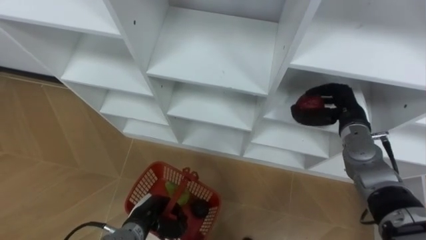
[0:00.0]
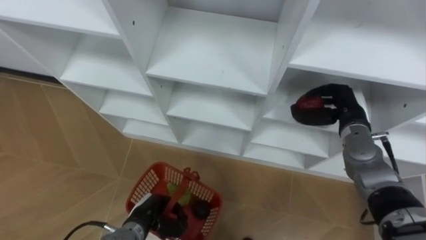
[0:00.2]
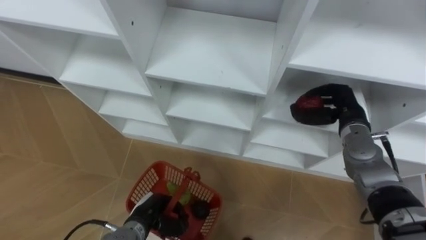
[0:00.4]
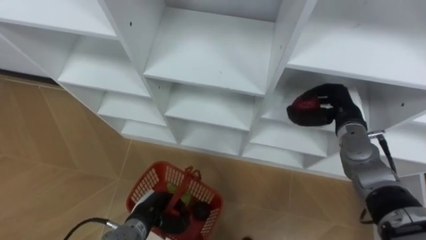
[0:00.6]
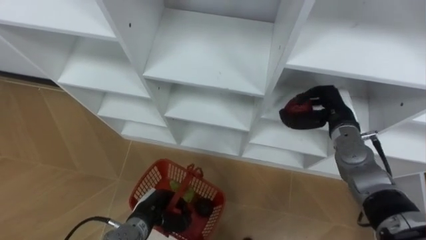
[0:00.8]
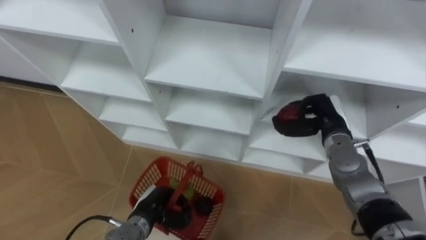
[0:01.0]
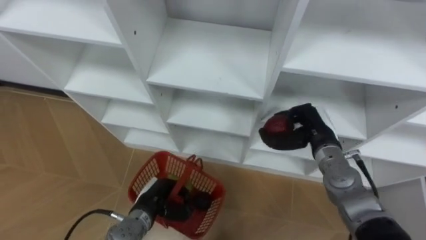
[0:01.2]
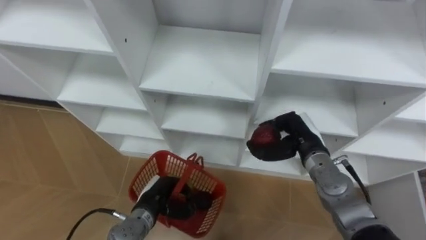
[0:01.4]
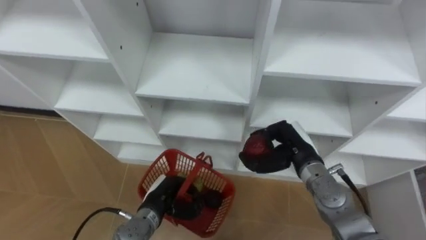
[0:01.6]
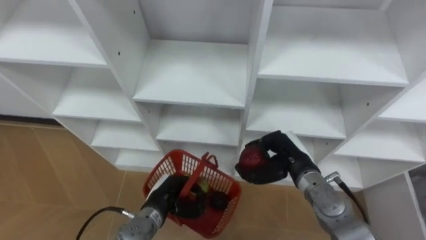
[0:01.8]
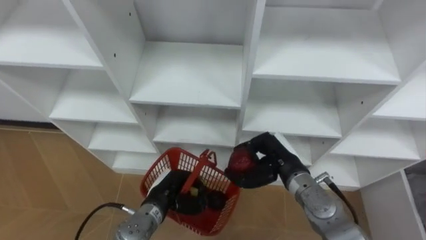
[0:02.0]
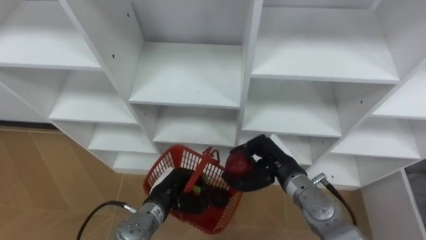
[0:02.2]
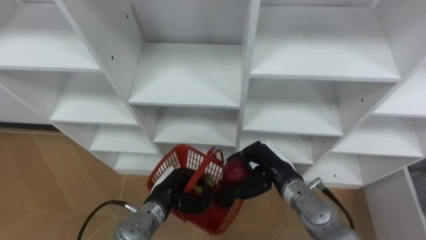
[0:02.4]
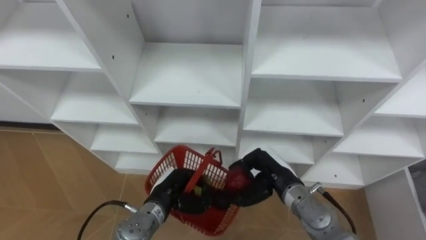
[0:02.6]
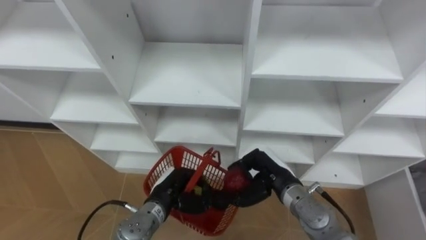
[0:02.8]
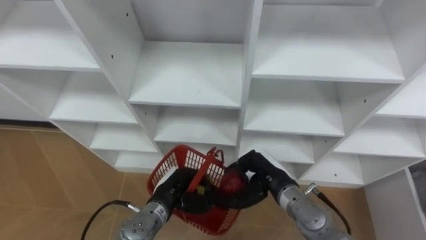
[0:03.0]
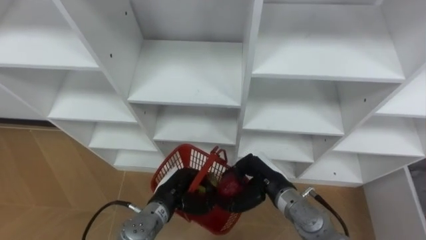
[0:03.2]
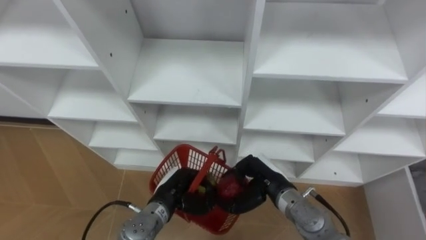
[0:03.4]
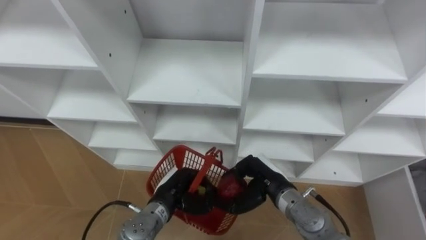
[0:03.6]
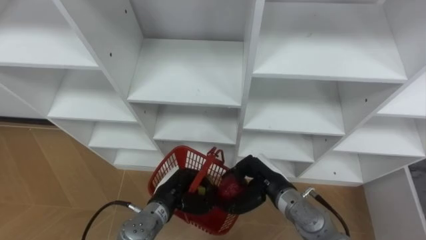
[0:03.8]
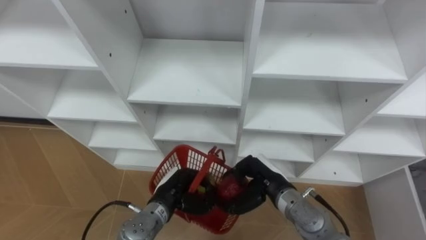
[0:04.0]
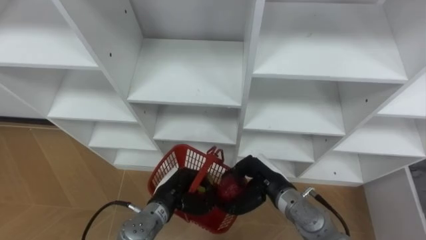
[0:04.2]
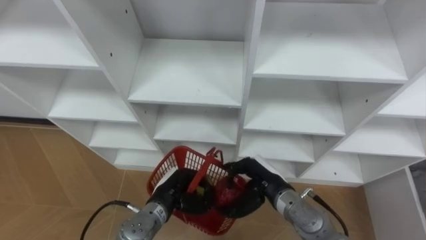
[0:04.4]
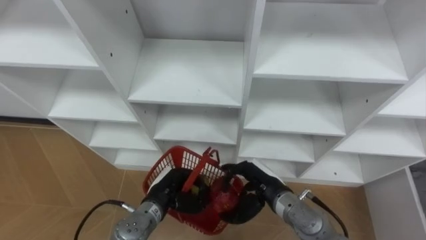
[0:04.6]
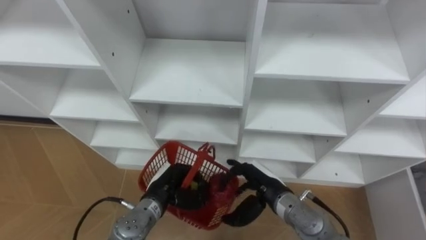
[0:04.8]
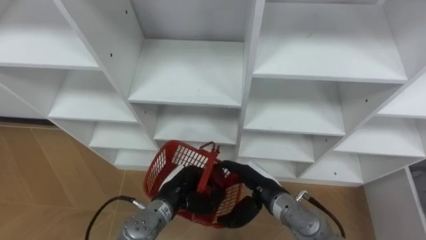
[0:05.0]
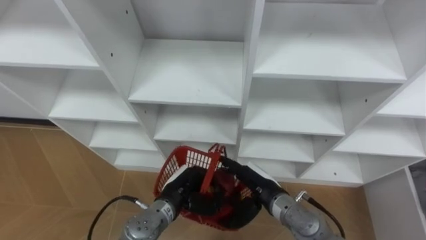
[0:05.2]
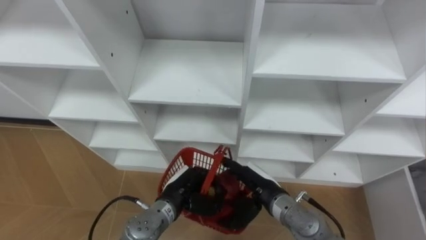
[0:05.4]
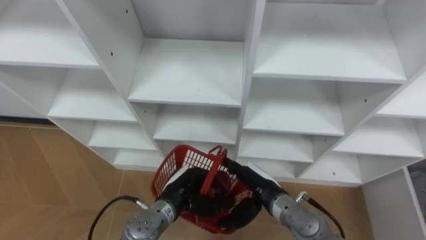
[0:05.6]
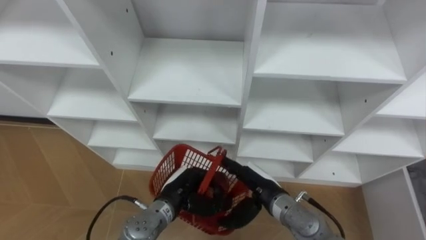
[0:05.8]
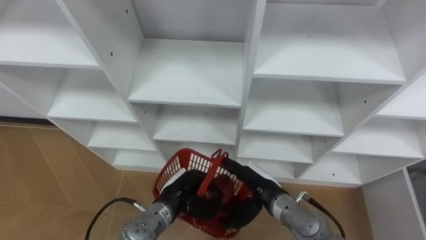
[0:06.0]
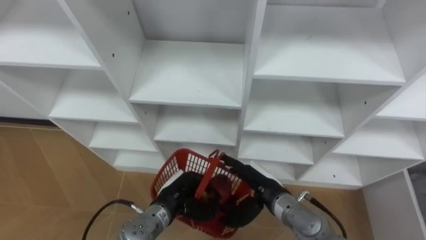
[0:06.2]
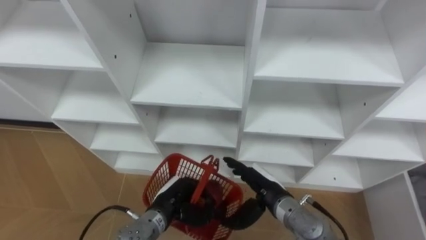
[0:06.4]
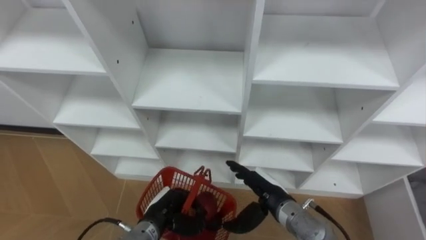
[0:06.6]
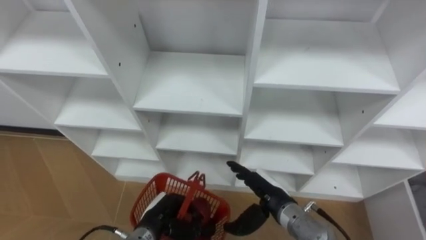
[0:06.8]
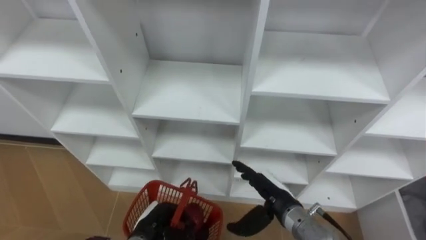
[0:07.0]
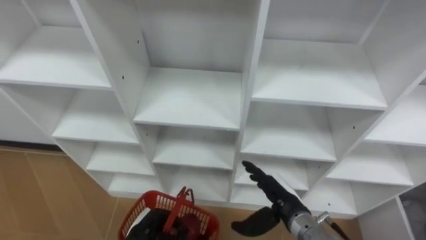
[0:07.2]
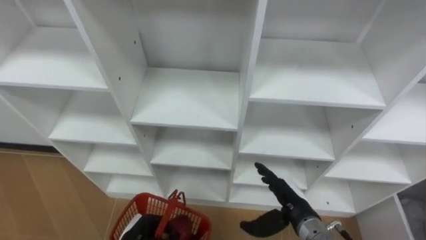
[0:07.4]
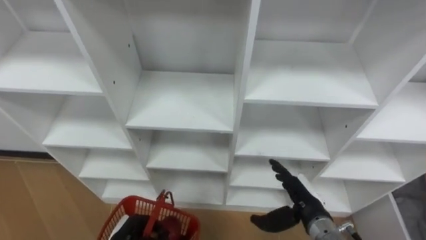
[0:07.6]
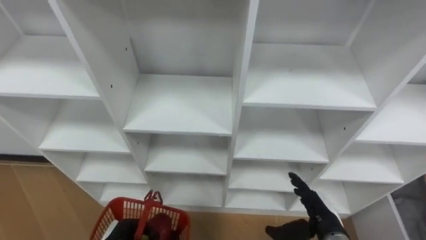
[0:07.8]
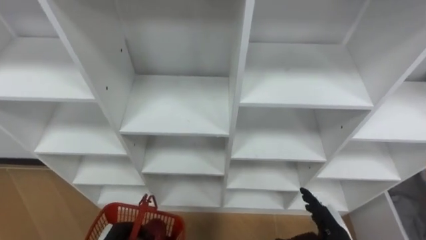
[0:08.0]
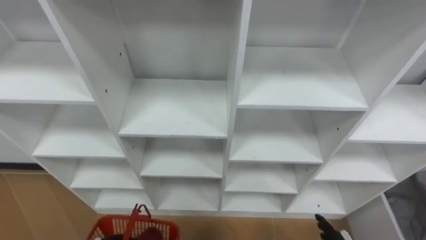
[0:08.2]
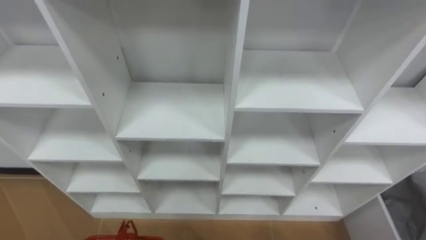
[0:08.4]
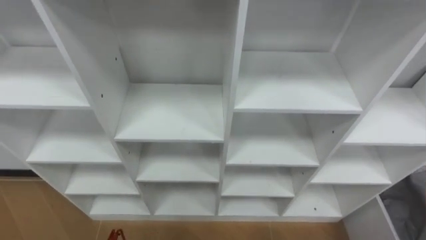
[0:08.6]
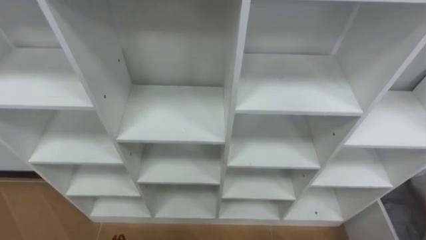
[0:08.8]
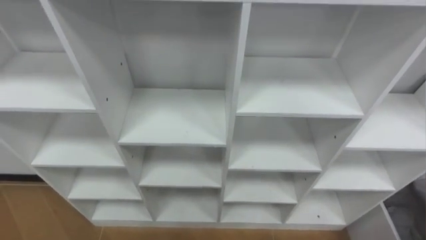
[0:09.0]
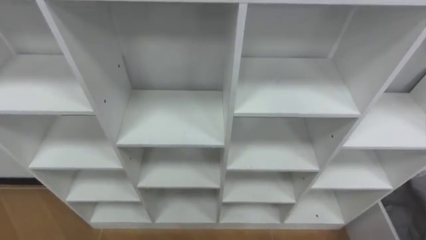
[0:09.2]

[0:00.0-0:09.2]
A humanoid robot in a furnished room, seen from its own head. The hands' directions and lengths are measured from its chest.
Task of the whole recording: Hold the basket and collect the fruits from 3 different cells of the closet into it.
0:00.0 to 0:01.6: The right hand moves to the left and backward, approximately 10 cm. The left hand shifts by roughly 5 cm.
0:01.6 to 0:03.0: The right hand moves to the left, about 5 cm.
0:03.0 to 0:04.6: The right hand opens.
0:04.6 to 0:06.2: The right hand opens up.
0:06.2 to 0:07.6: The right hand travels to the right by some 10 cm. The left hand moves to the left, backward and downward, about 15 cm.

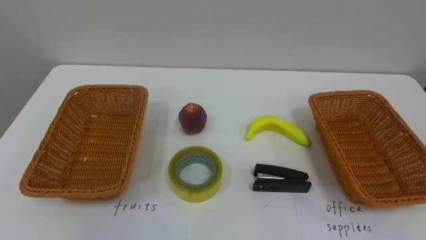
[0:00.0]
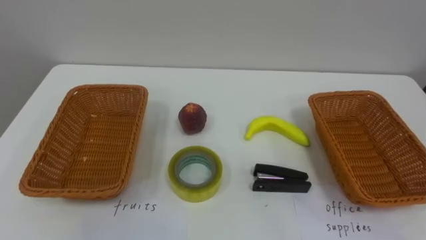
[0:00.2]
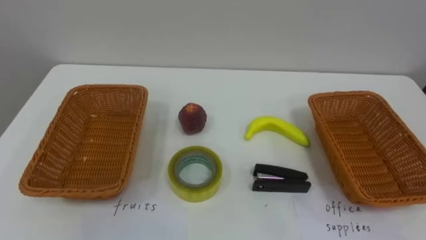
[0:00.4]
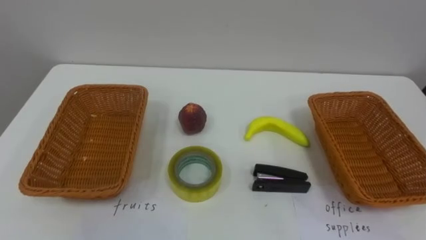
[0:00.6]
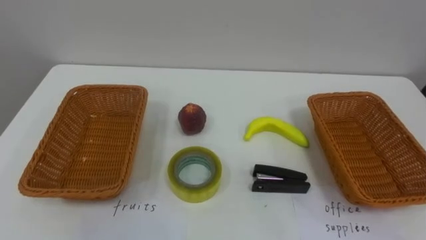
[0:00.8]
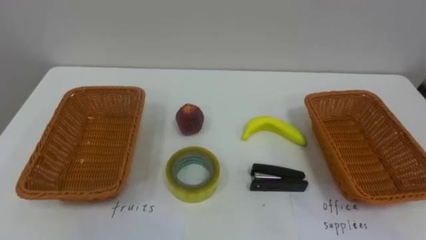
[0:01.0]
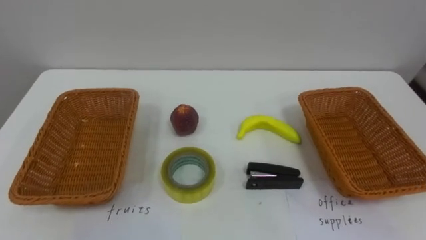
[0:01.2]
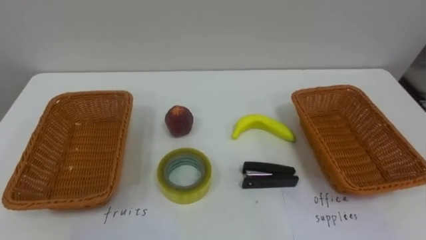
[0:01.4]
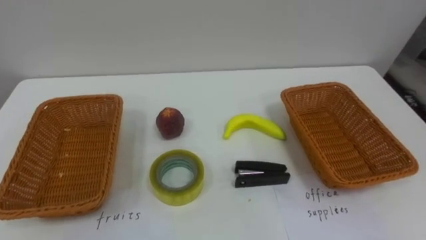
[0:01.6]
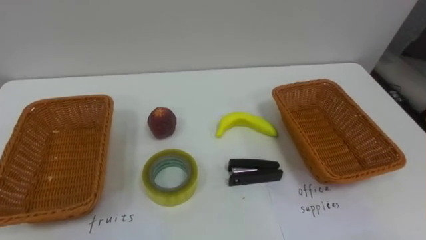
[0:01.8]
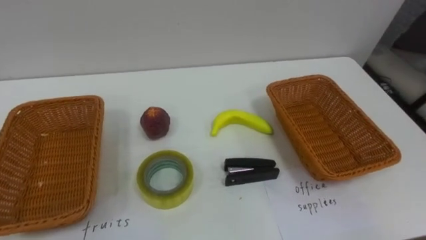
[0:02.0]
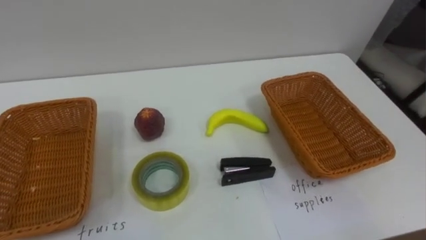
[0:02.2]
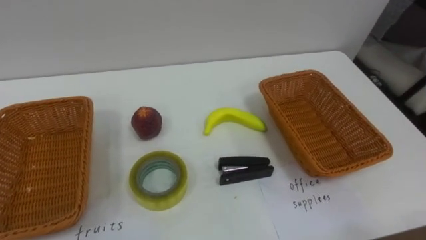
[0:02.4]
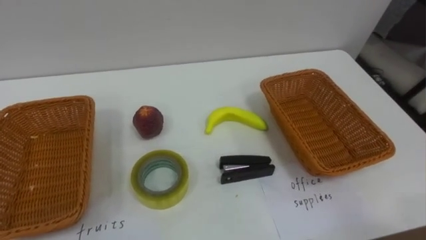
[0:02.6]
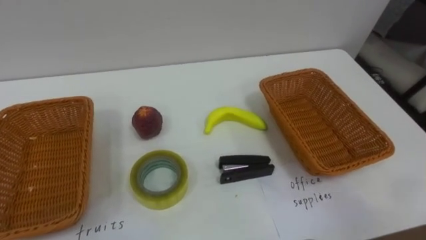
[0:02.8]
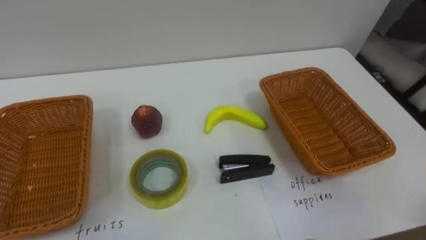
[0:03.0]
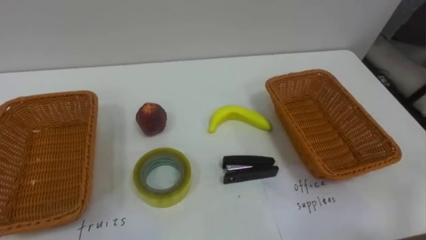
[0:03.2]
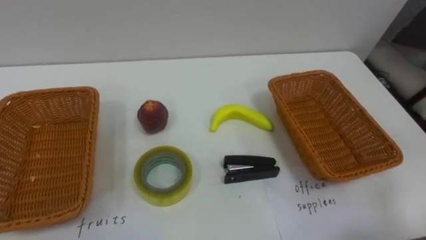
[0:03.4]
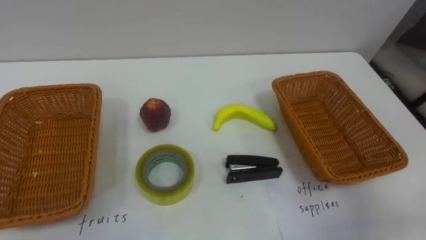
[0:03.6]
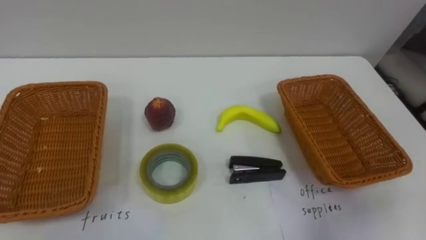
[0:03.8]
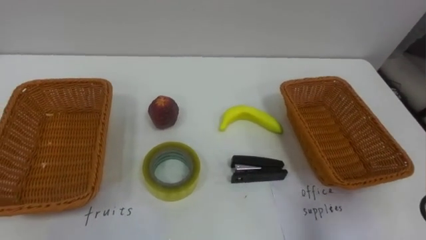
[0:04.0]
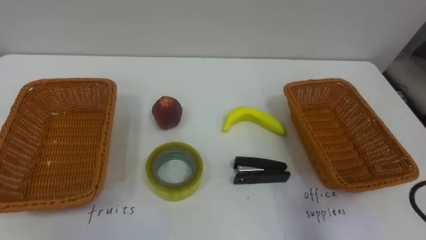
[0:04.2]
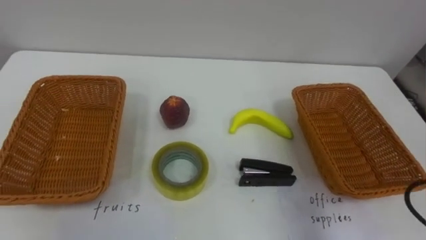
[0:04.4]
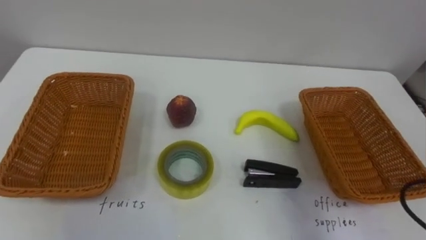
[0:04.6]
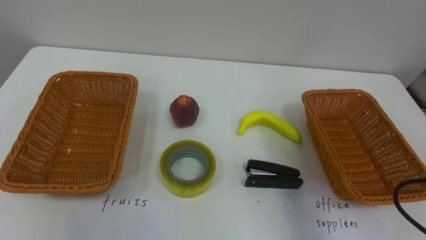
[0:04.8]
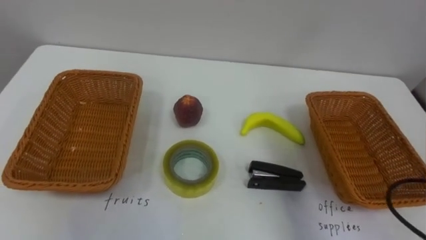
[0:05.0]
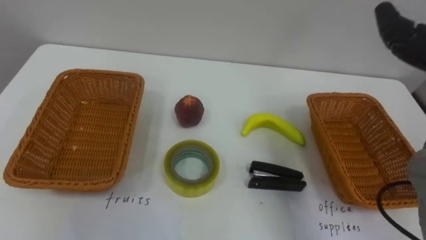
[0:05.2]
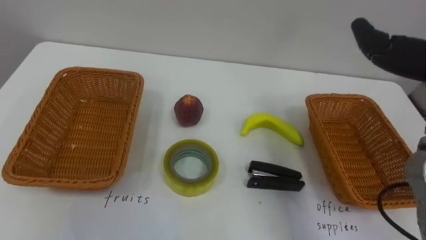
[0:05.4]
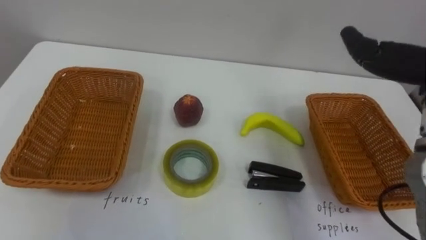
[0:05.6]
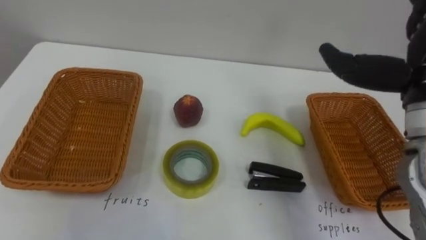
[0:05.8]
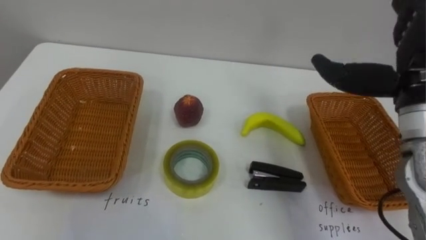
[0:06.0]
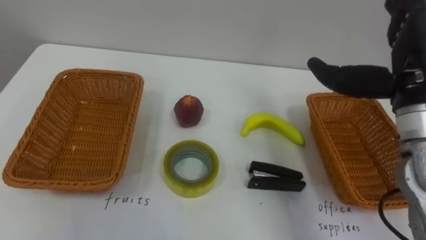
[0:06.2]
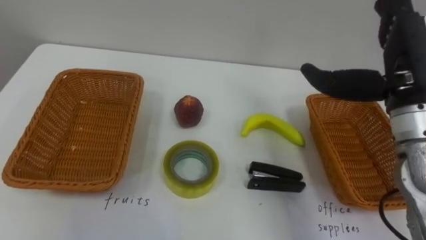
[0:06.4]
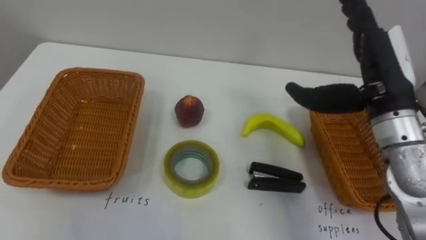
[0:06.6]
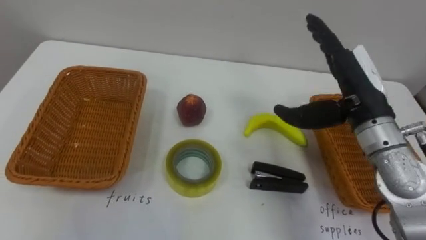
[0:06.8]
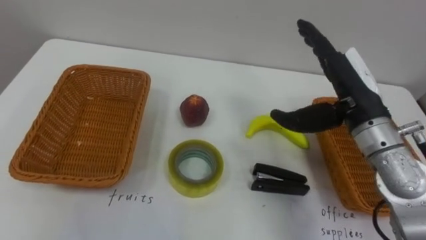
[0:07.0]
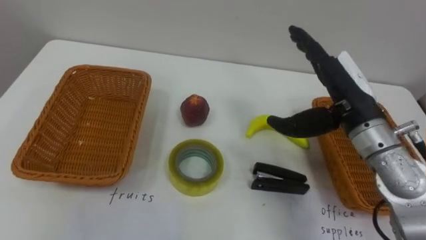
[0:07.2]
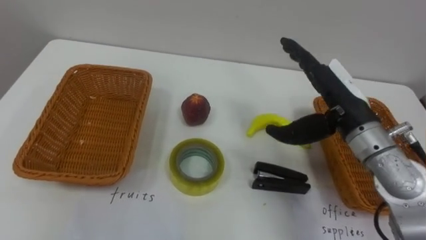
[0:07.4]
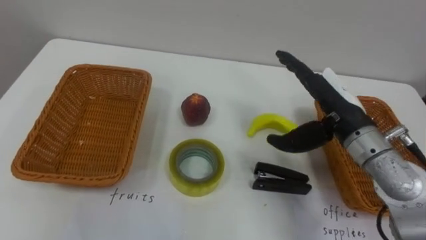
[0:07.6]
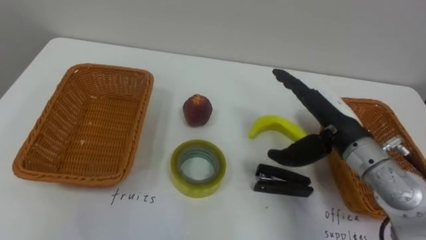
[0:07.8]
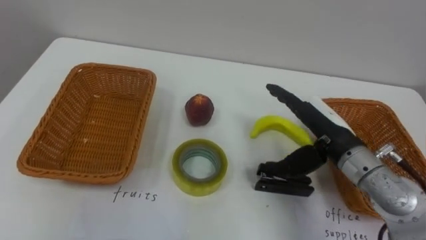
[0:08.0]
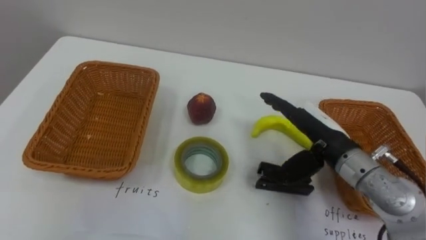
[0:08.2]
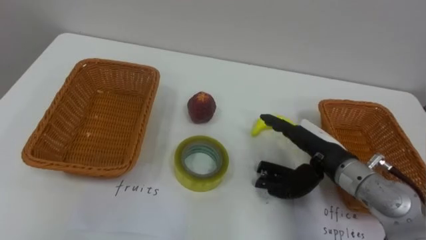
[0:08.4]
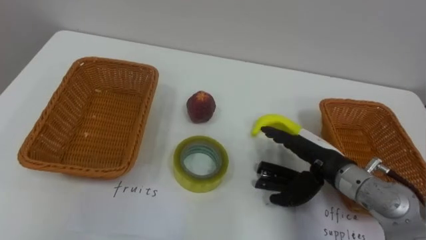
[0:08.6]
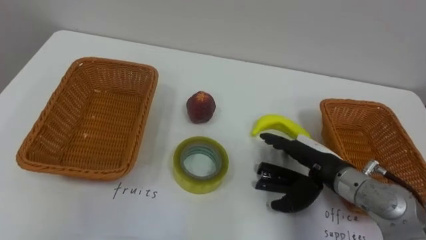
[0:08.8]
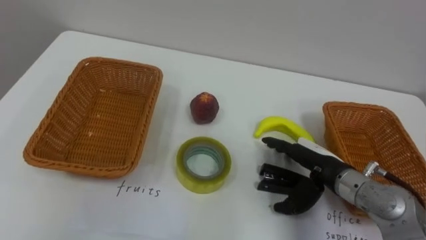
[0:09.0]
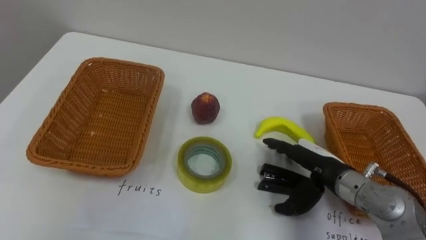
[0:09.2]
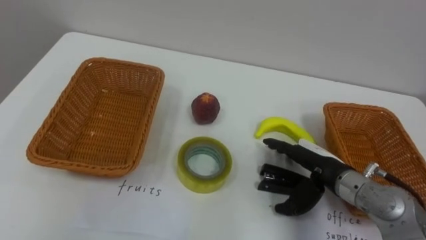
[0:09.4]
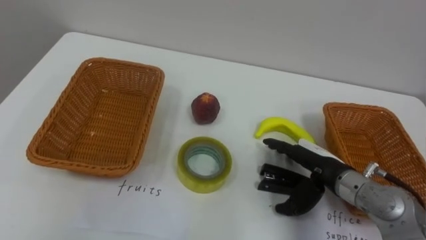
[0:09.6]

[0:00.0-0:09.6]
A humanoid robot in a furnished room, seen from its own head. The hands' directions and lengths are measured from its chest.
Task of the whole recording: Separate the items on the table and place them into the two baskets.
0:06.4 to 0:08.0: The right hand travels downward and to the left by some 15 cm.
0:08.0 to 0:09.6: The right hand shifts some 10 cm downward.
